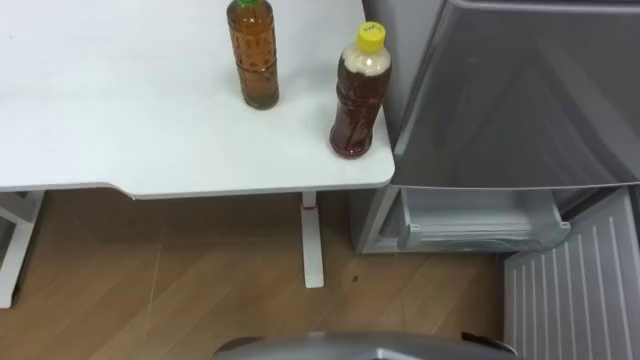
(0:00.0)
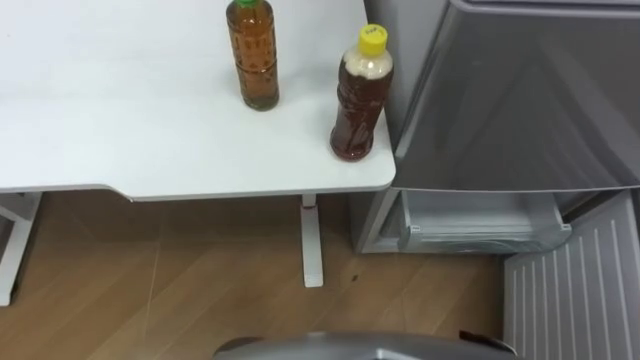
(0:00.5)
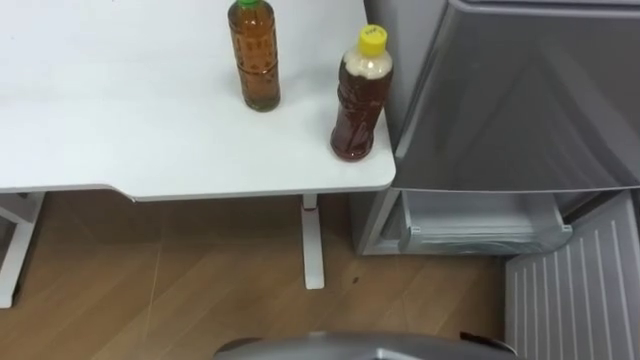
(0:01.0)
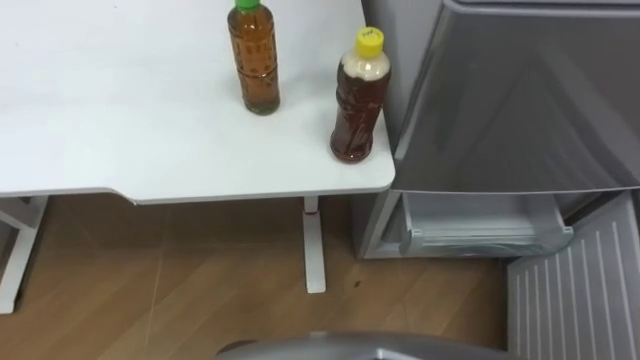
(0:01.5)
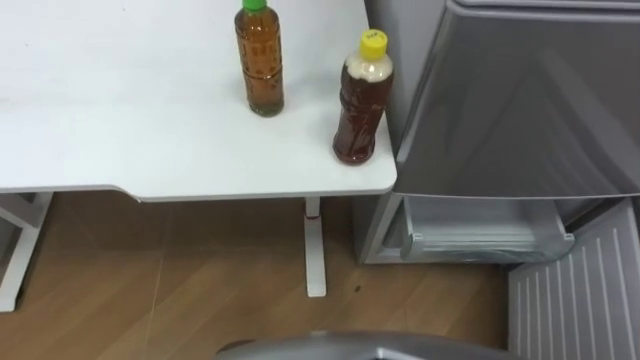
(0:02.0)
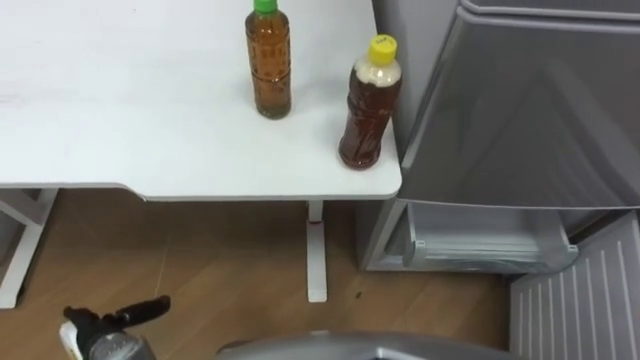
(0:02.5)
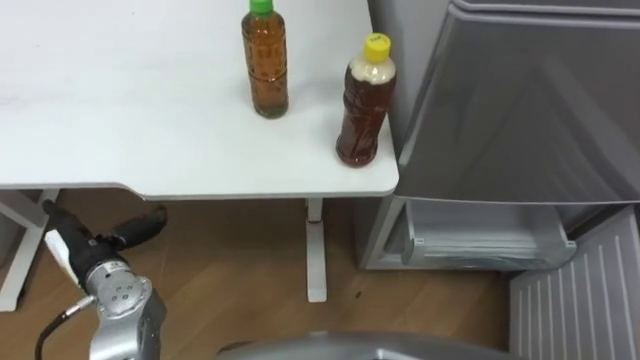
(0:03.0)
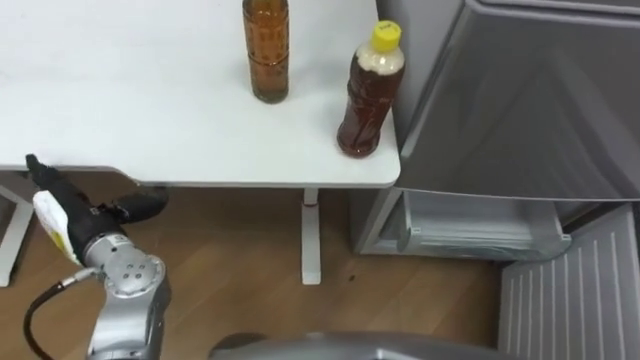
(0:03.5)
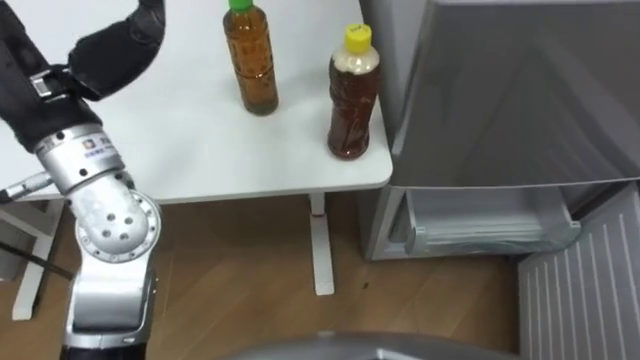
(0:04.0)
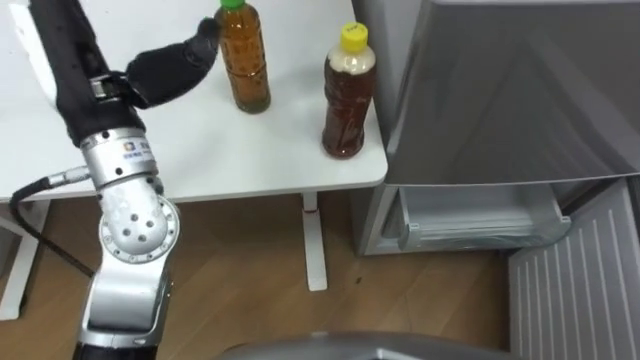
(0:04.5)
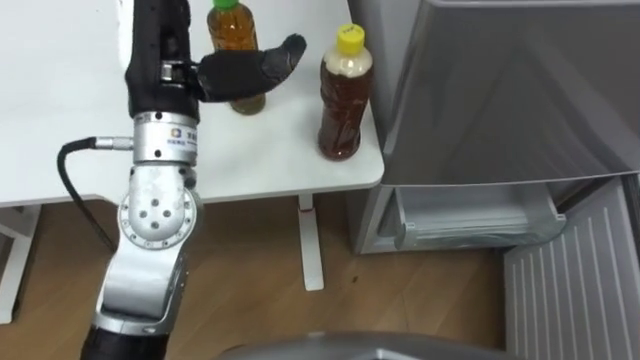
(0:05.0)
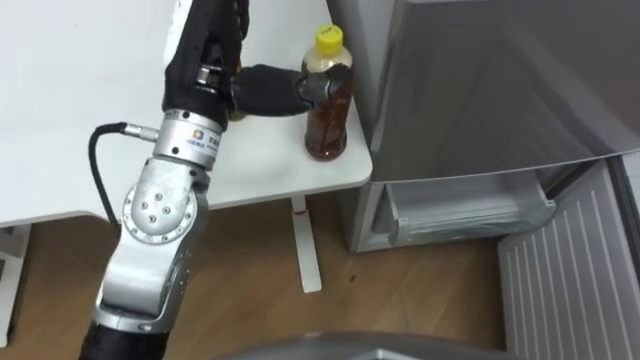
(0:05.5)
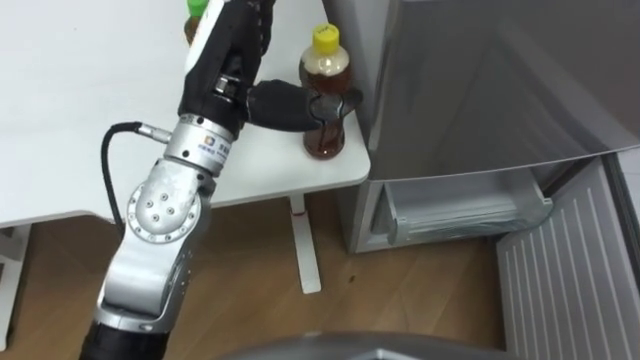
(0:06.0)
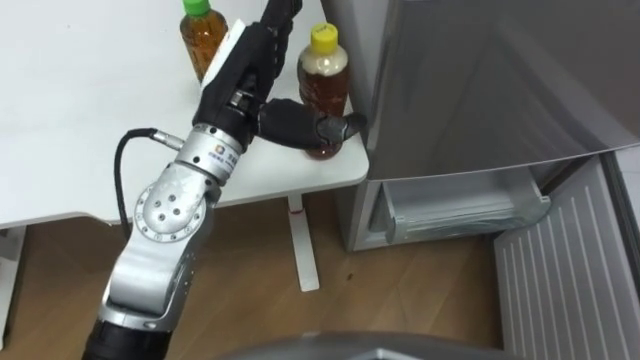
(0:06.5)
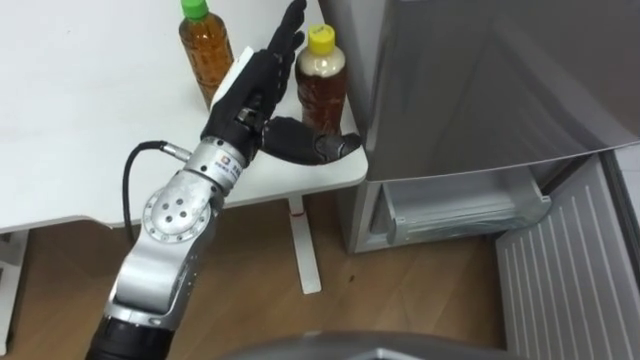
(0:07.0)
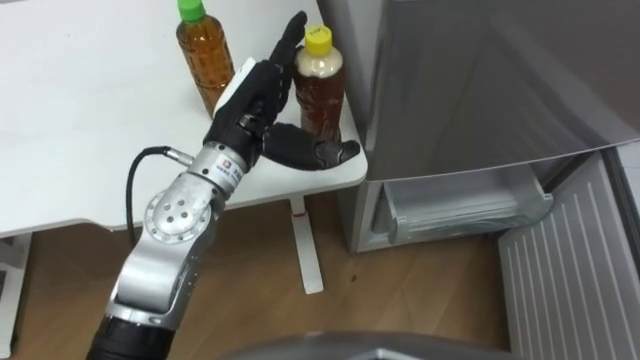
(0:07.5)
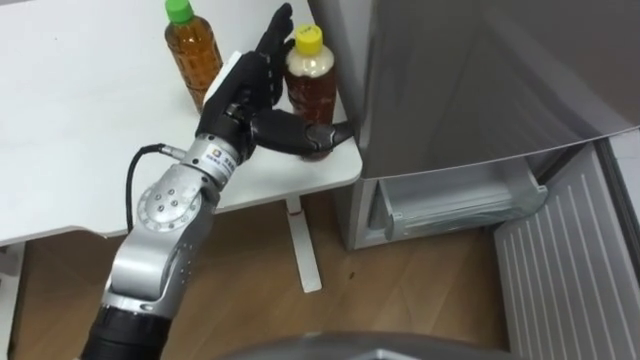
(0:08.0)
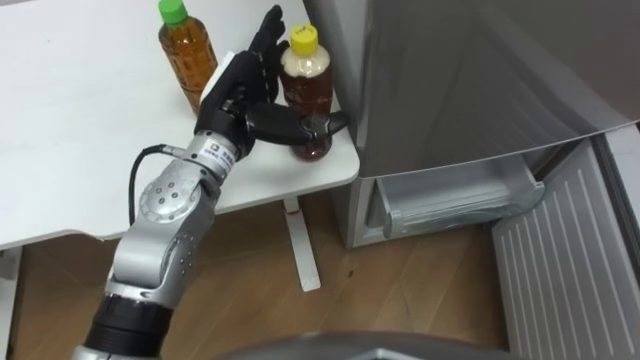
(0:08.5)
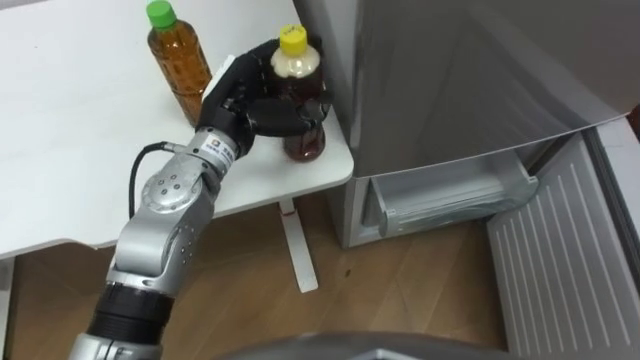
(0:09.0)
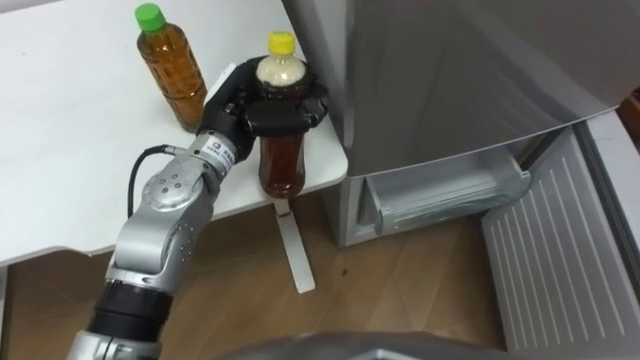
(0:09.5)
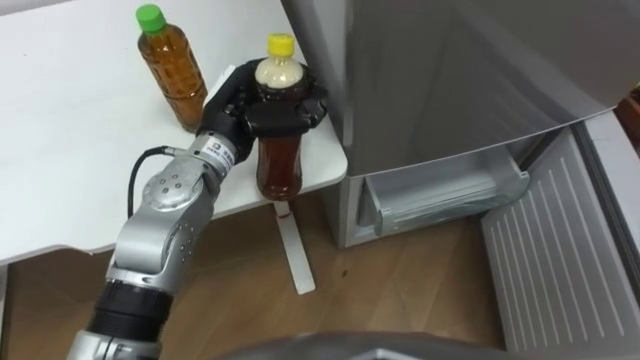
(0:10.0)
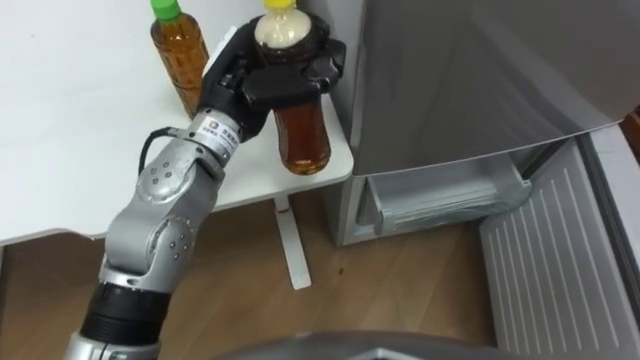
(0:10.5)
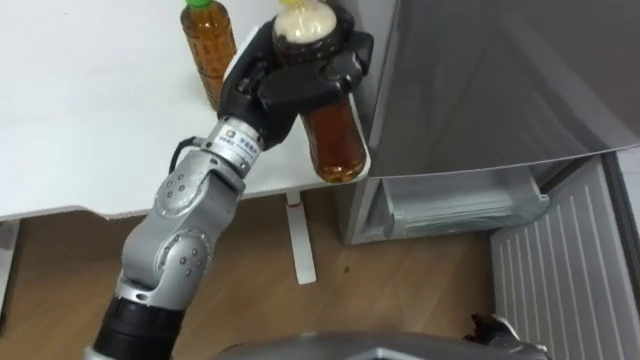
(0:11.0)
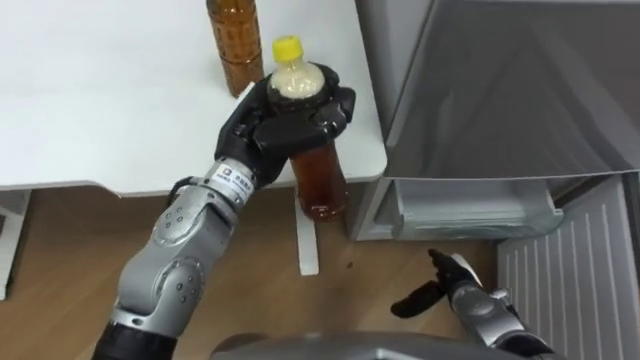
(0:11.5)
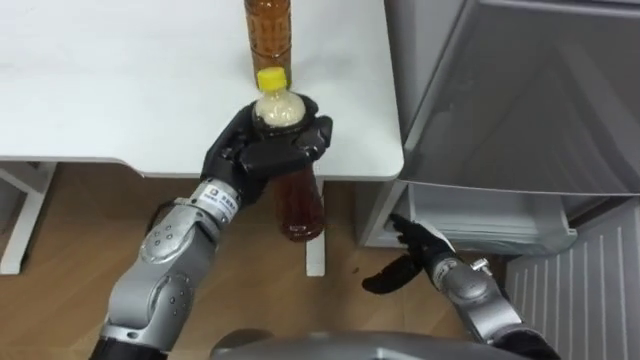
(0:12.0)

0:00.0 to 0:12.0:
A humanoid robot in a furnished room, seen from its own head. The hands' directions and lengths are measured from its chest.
Task of the whole recording: Place the drink on the table on the bottom shelf of the refrigerator, then close the drawer and the refrigerator door.
0:04.0 to 0:06.0: The left hand heads to the right, covering roughly 15 cm.
0:06.0 to 0:08.0: The left hand heads downward, covering approximately 5 cm.
0:08.0 to 0:10.0: The left hand closes.
0:10.0 to 0:12.0: The left hand moves roughly 10 cm upward and comes back.

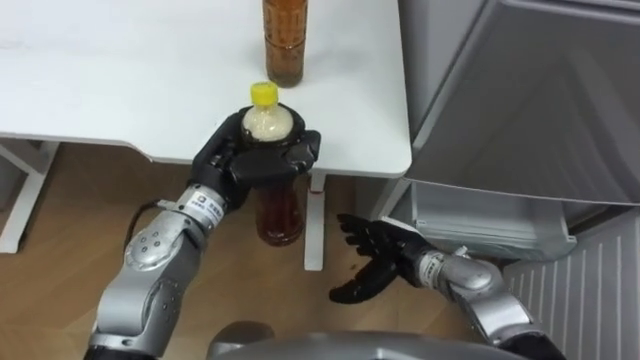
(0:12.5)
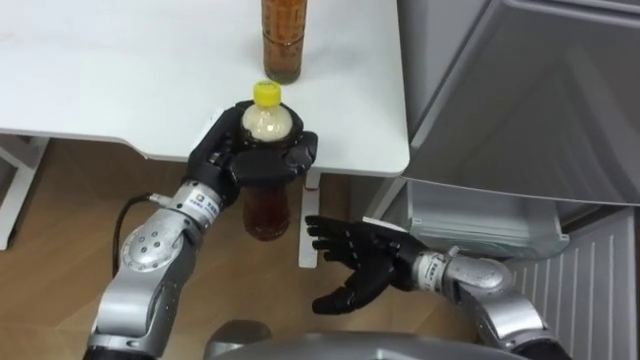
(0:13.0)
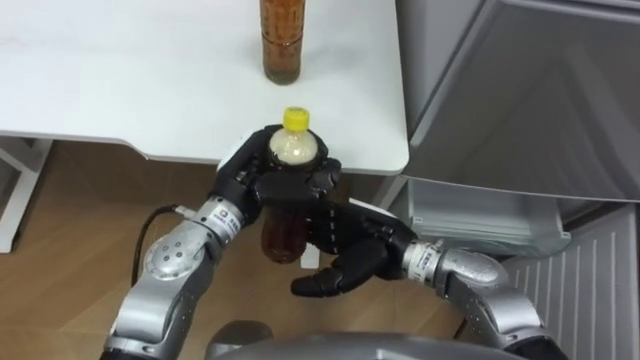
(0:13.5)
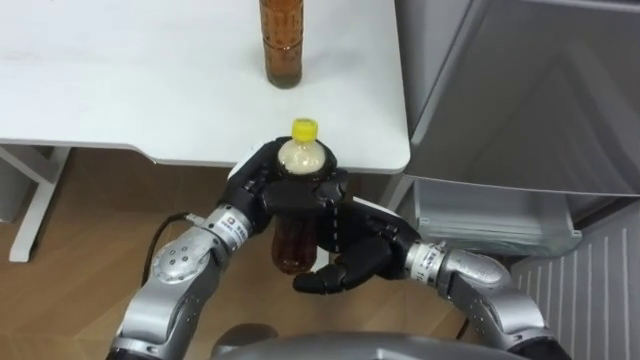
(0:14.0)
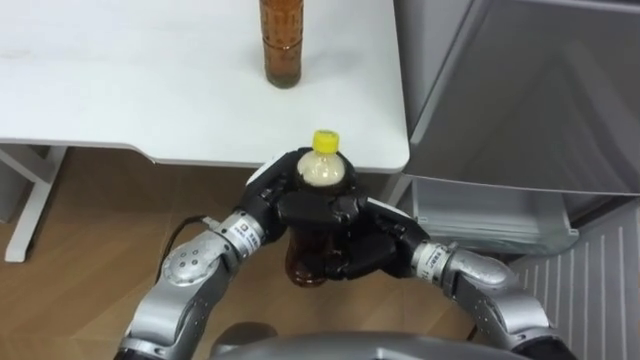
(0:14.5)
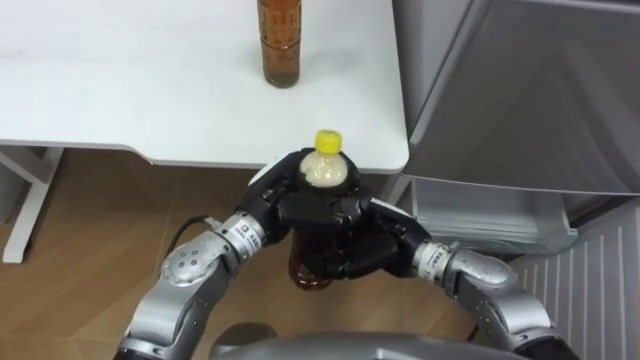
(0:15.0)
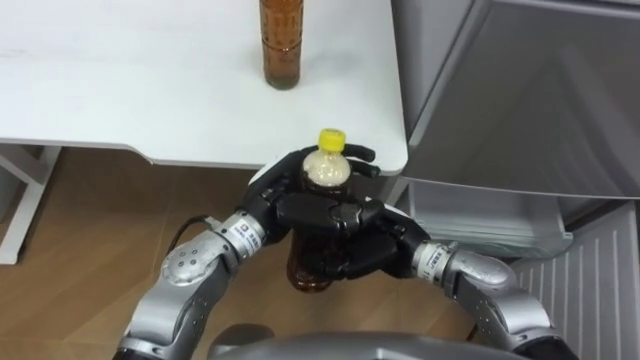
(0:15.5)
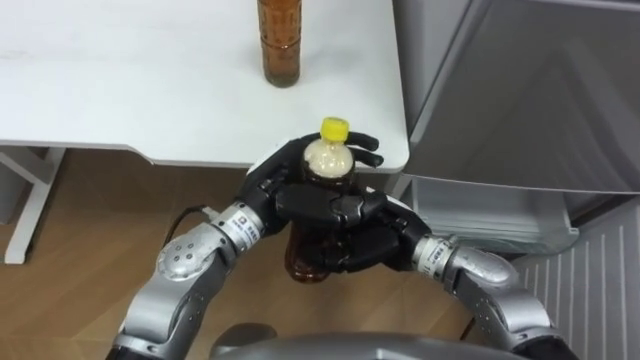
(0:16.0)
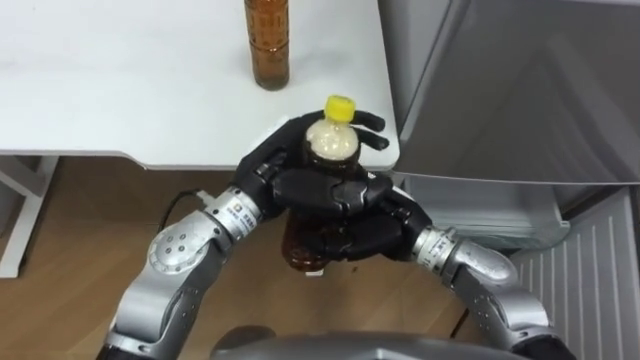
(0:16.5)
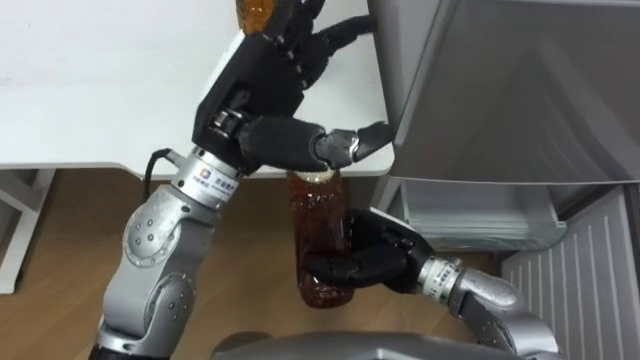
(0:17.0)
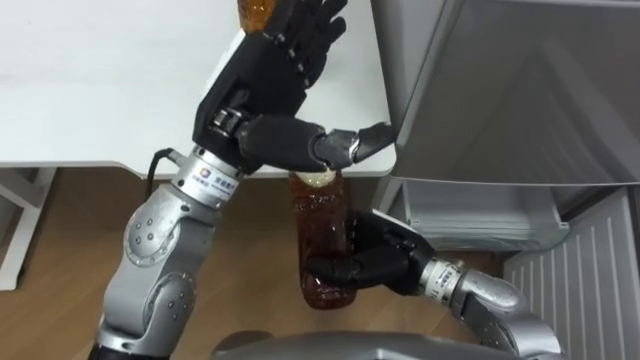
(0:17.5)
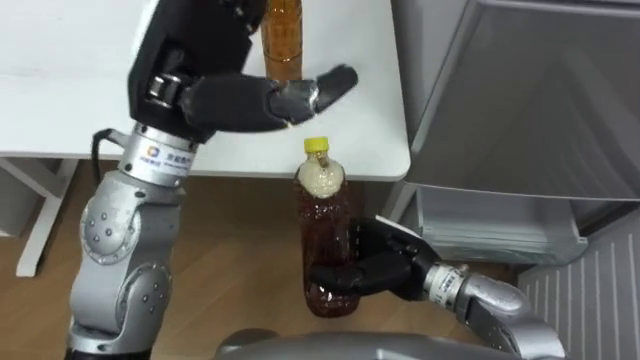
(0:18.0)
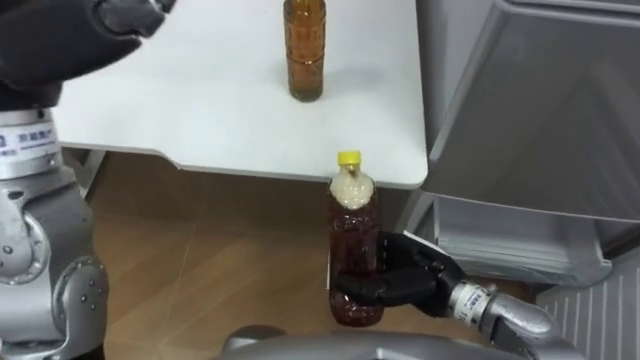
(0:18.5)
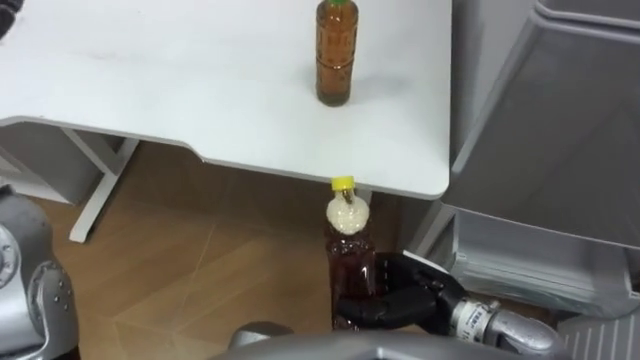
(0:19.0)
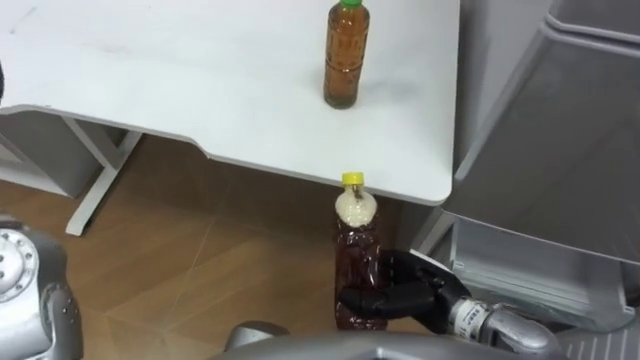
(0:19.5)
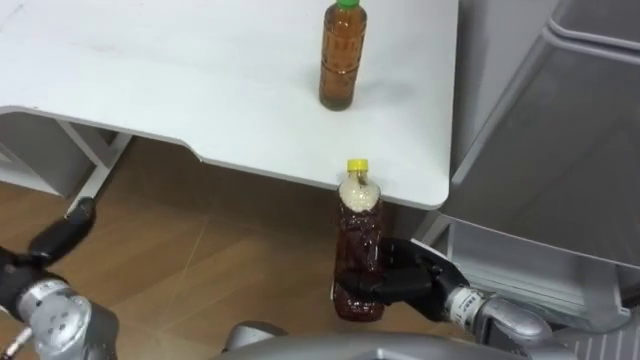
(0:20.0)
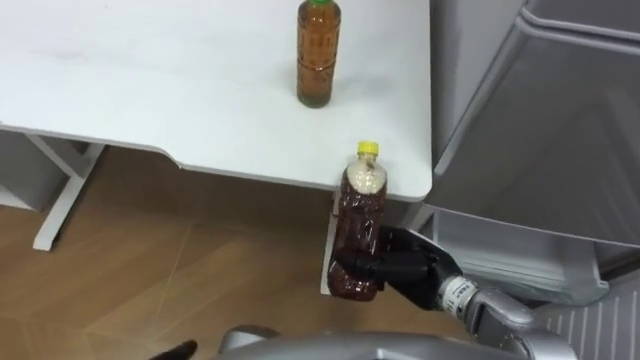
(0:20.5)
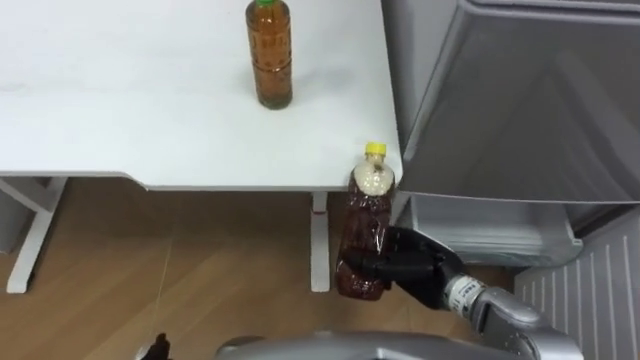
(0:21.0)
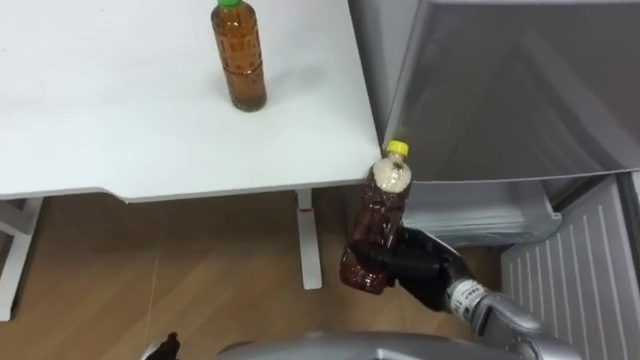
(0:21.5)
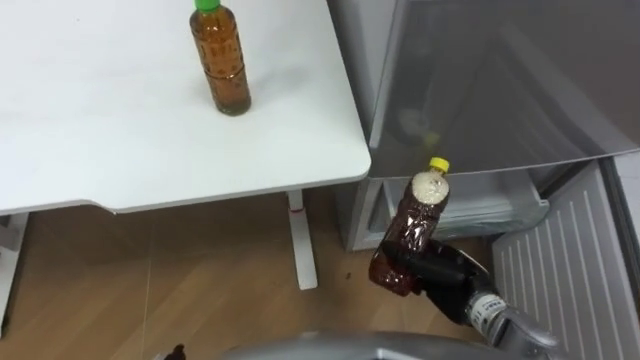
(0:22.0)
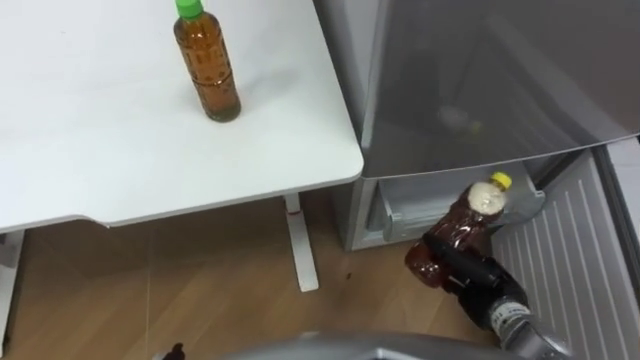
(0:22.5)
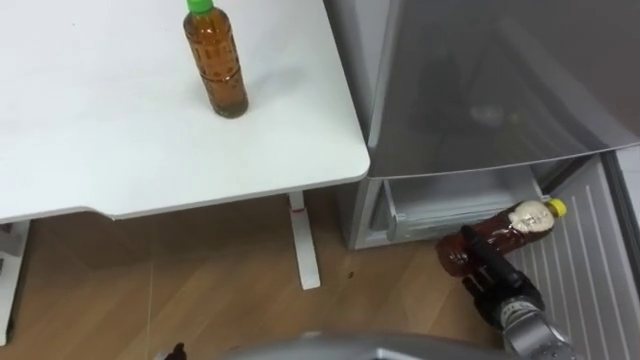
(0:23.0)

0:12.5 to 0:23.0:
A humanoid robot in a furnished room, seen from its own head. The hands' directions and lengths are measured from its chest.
Task of the whole recording: Place the drink on the table on the bottom shelf of the refrigerator, then close the drawer and the refrigerator door.
0:12.5 to 0:14.5: The right hand goes approximately 5 cm upward, and closes; the left hand heads to the right, covering about 5 cm.
0:14.5 to 0:16.5: The left hand heads upward, covering roughly 5 cm.
0:16.5 to 0:19.0: The right hand moves backward, downward and to the right, some 10 cm.
0:21.0 to 0:23.0: The right hand heads to the right and downward, covering roughly 15 cm.
